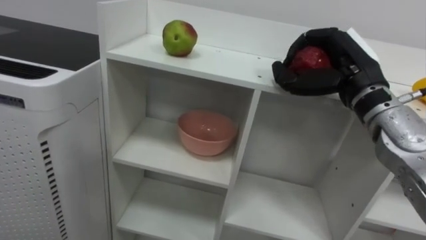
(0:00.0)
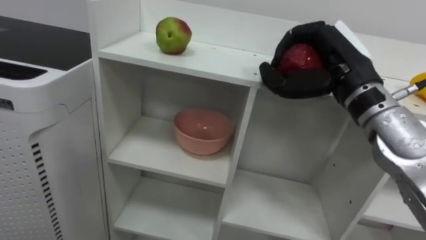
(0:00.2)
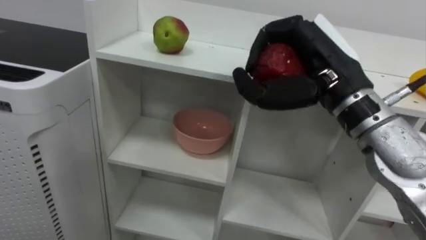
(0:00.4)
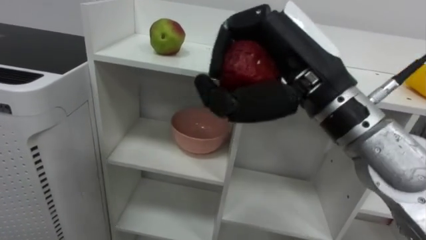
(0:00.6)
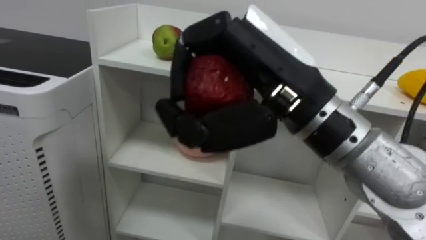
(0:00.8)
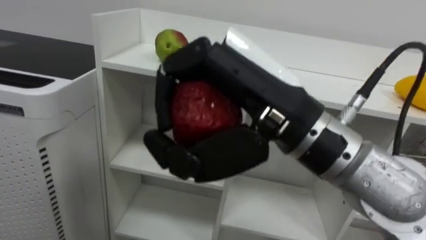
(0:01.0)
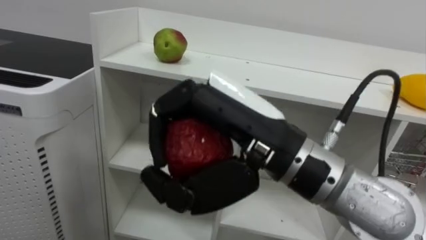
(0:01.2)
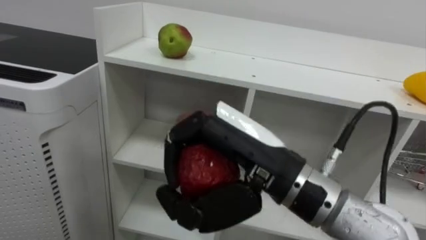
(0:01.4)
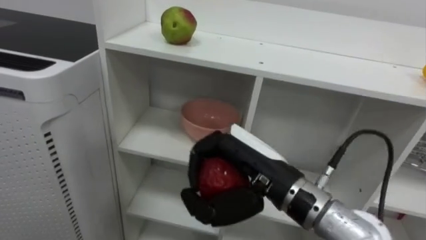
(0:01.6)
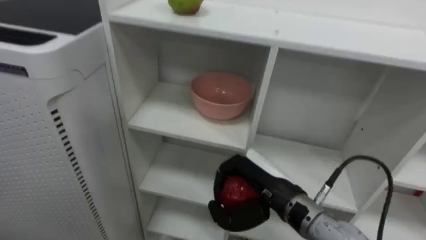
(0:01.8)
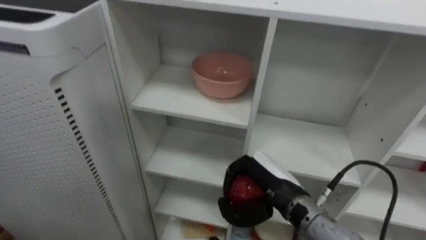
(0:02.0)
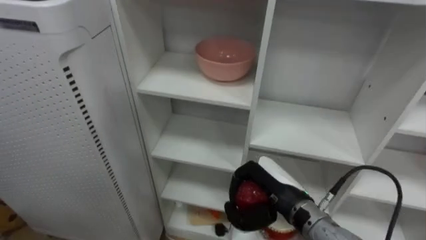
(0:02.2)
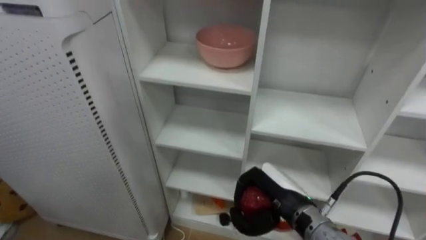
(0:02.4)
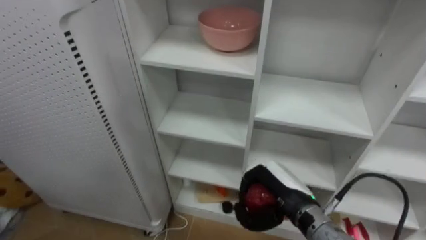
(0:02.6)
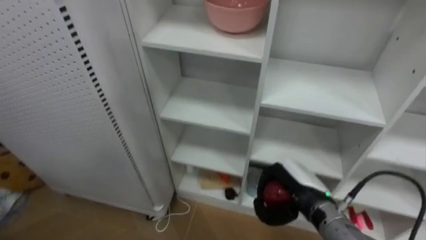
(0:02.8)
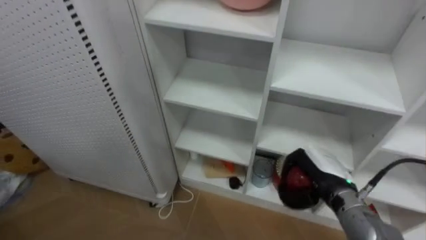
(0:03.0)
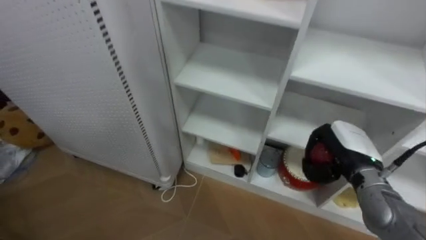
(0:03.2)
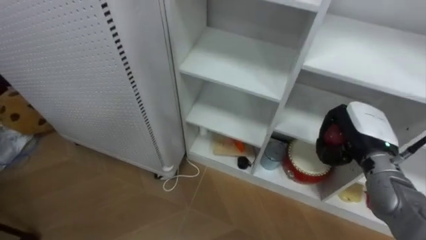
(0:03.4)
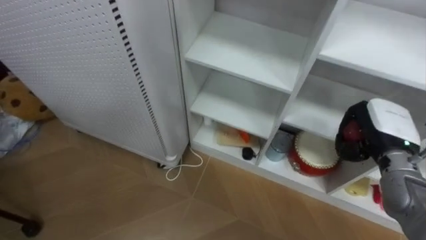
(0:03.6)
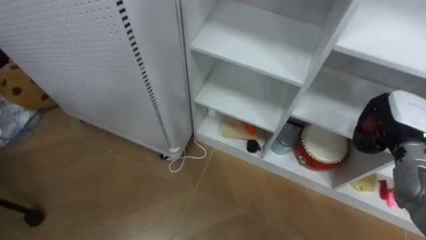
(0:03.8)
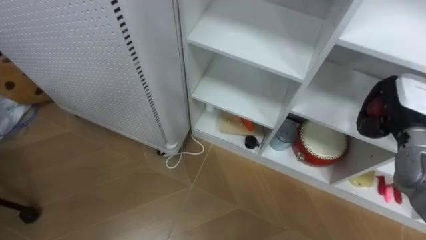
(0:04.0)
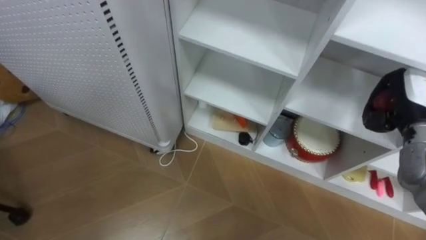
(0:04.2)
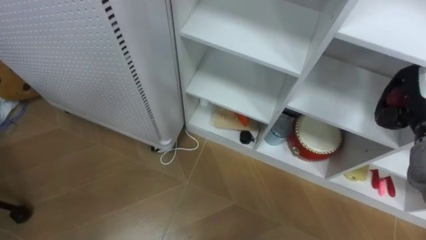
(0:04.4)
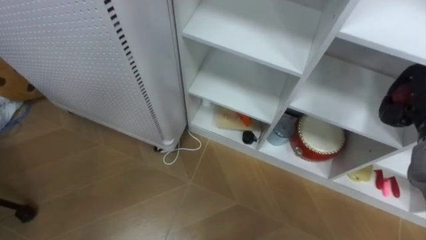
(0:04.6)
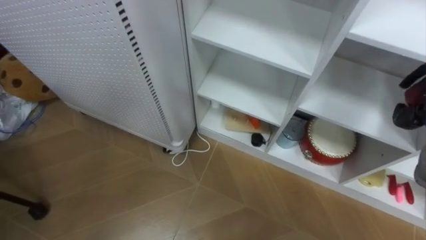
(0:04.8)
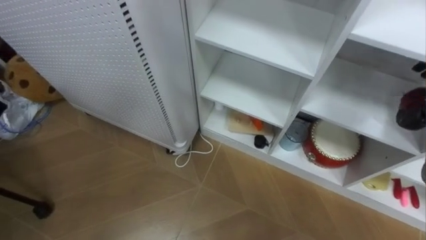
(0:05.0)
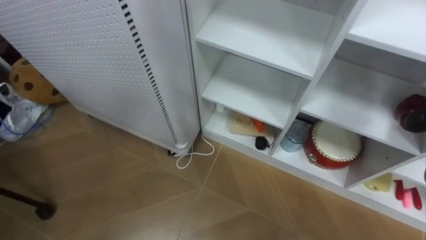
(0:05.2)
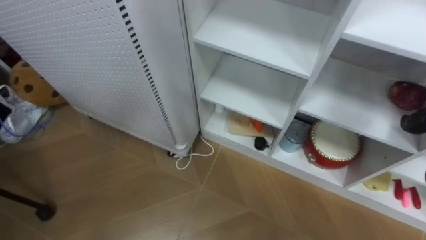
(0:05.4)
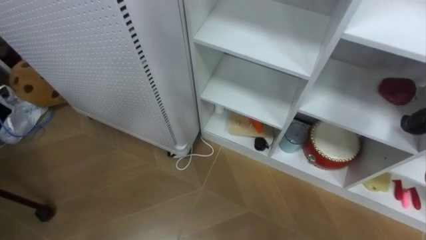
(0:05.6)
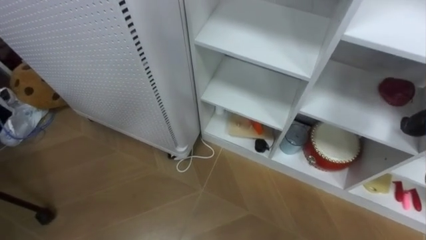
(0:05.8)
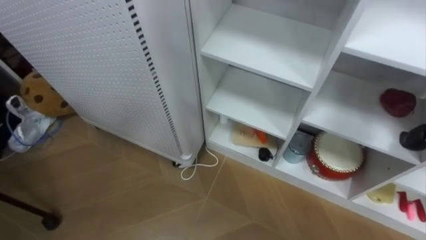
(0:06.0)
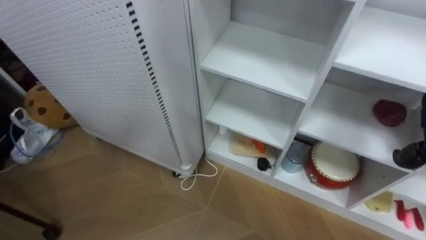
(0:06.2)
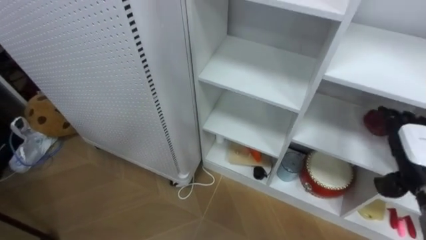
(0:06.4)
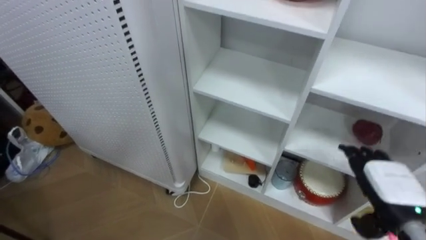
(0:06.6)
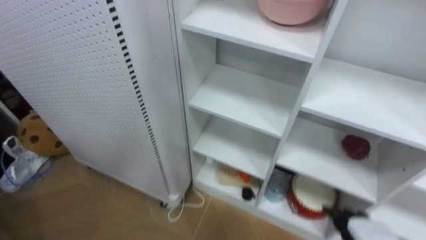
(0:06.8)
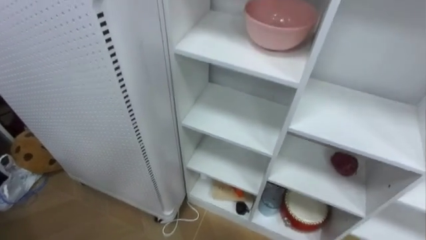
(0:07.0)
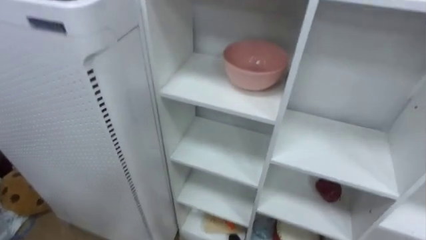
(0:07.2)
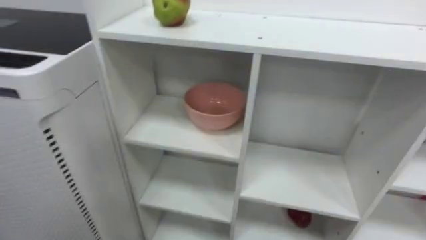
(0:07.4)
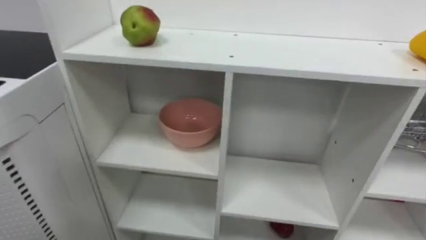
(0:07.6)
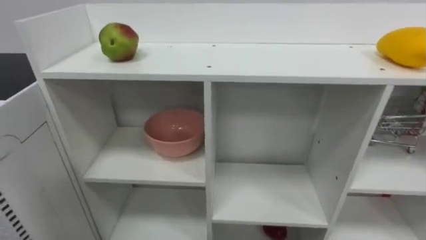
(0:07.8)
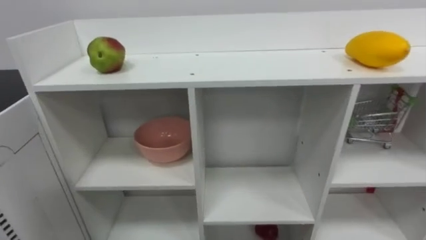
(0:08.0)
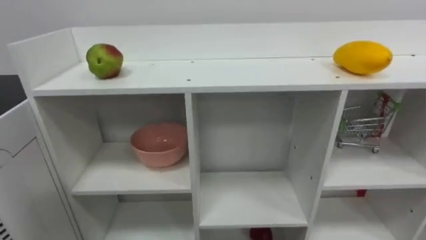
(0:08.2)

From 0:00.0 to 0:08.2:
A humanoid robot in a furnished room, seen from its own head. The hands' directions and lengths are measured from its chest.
Task of the whole recording: Put the apple in the cell in the second column from the left and the second row from the top.
From 0:00.0 to 0:01.6: The right hand is displaced to the left, backward and downward by approximately 20 cm.
From 0:01.6 to 0:03.2: The right hand is displaced to the right, forward and downward by roughly 25 cm.

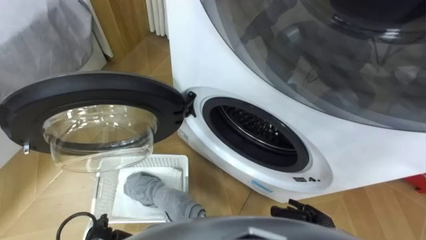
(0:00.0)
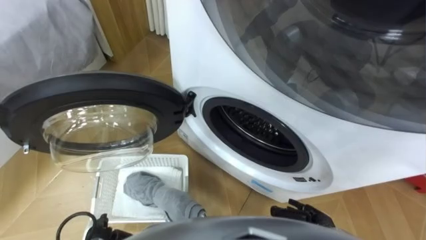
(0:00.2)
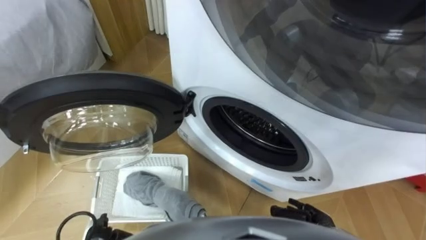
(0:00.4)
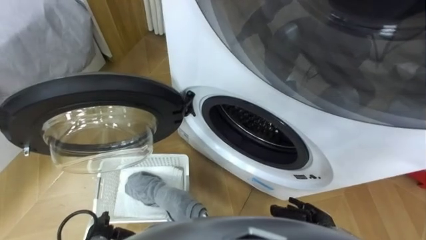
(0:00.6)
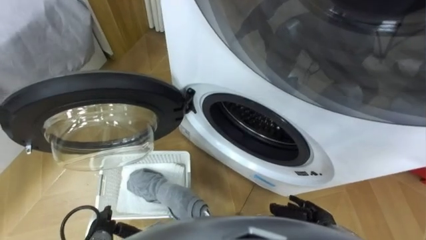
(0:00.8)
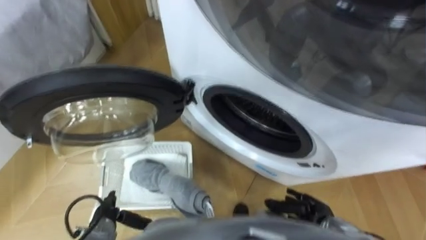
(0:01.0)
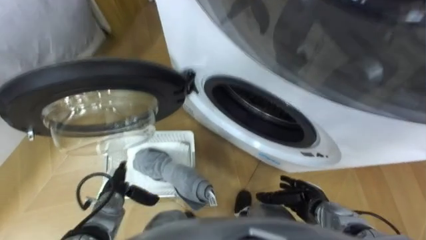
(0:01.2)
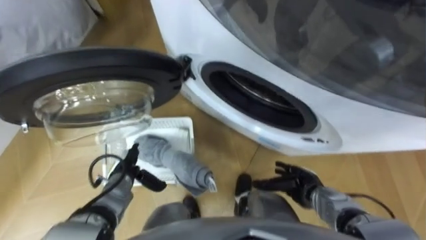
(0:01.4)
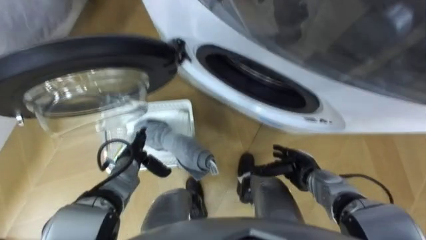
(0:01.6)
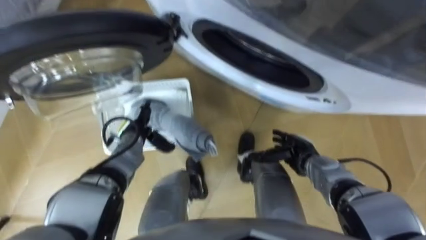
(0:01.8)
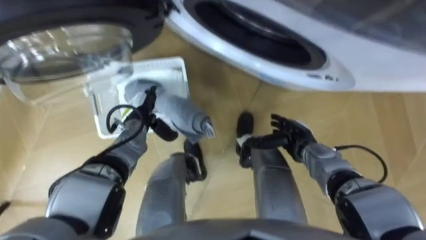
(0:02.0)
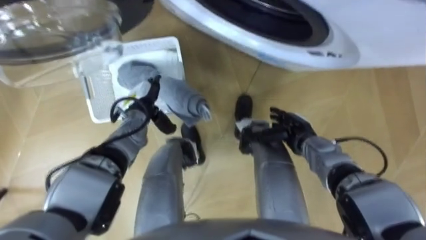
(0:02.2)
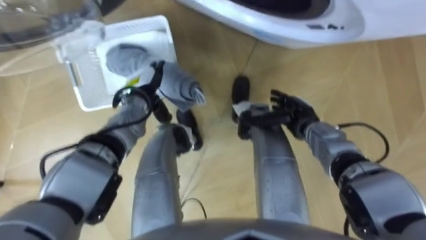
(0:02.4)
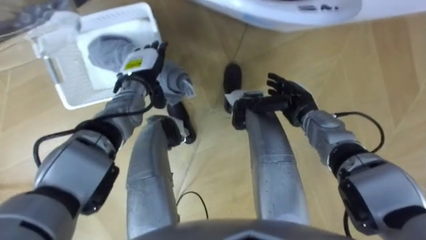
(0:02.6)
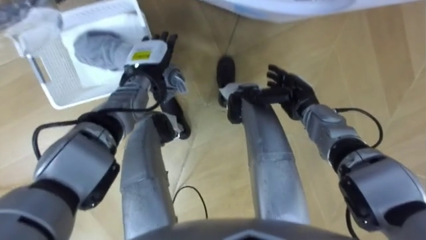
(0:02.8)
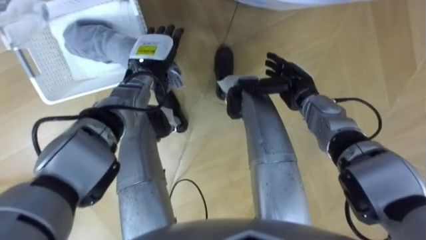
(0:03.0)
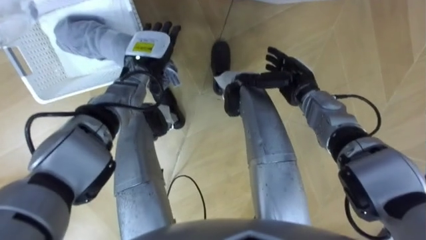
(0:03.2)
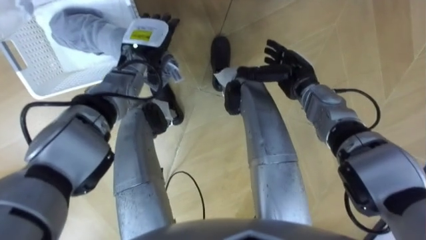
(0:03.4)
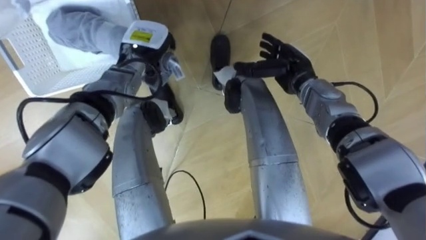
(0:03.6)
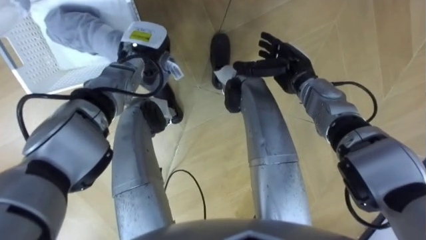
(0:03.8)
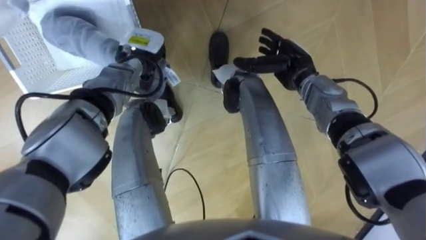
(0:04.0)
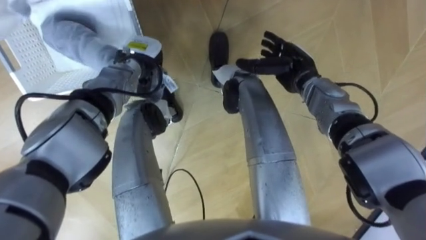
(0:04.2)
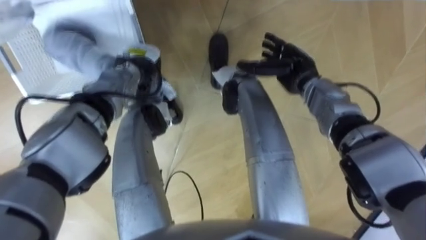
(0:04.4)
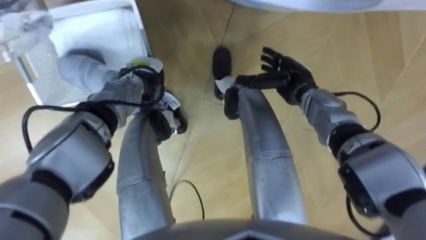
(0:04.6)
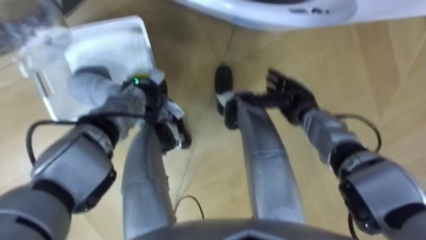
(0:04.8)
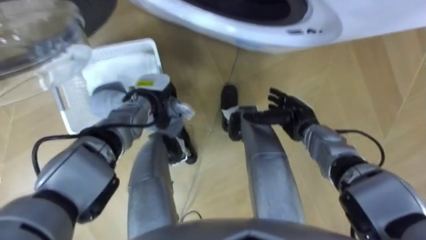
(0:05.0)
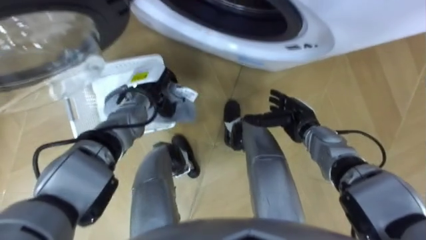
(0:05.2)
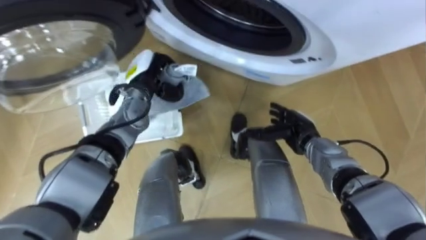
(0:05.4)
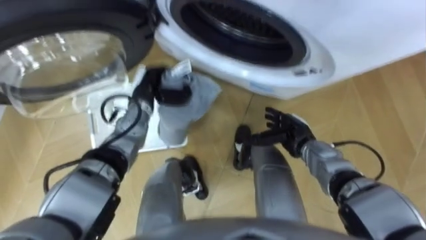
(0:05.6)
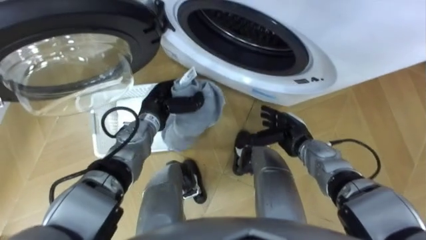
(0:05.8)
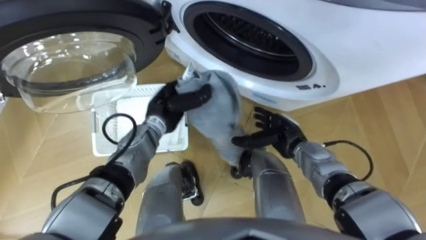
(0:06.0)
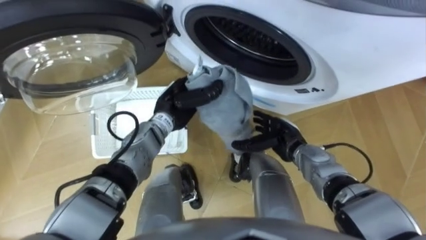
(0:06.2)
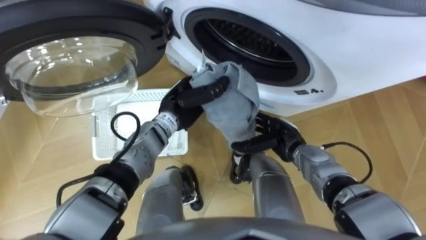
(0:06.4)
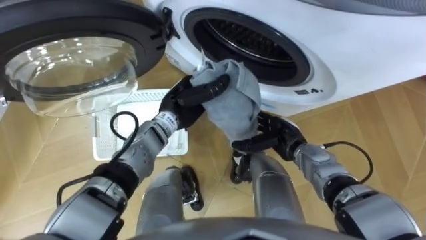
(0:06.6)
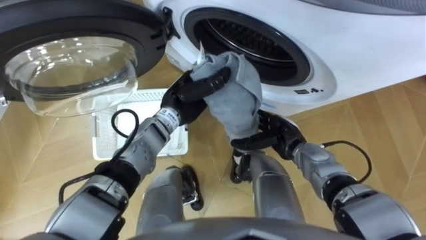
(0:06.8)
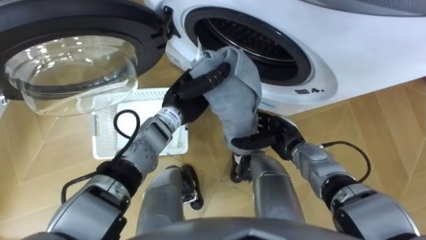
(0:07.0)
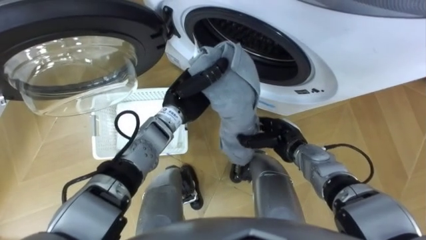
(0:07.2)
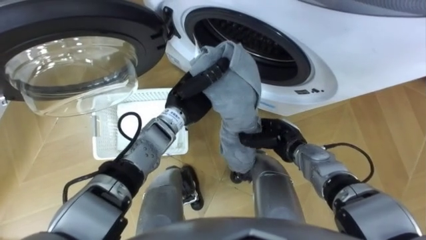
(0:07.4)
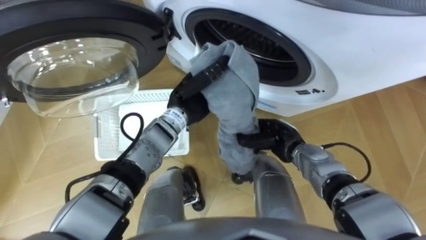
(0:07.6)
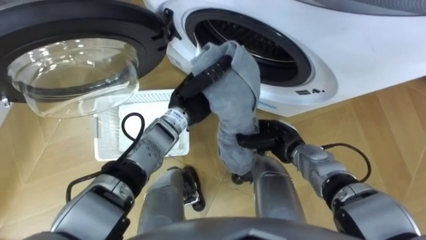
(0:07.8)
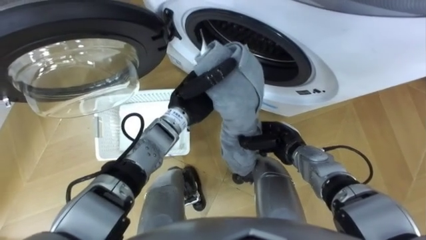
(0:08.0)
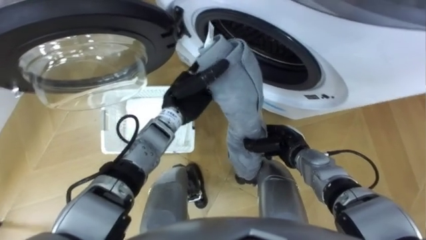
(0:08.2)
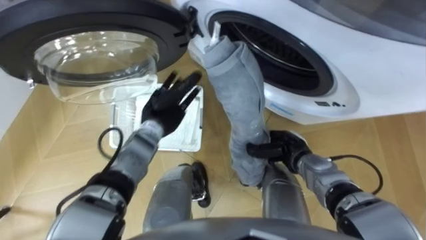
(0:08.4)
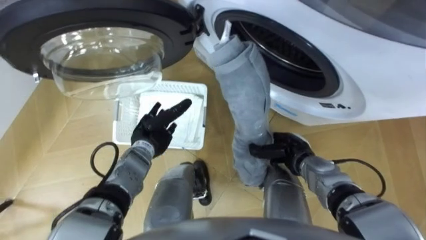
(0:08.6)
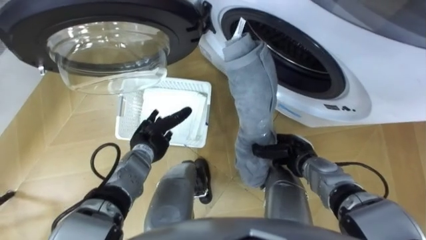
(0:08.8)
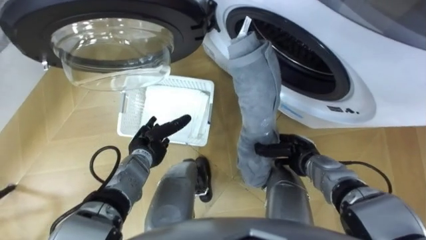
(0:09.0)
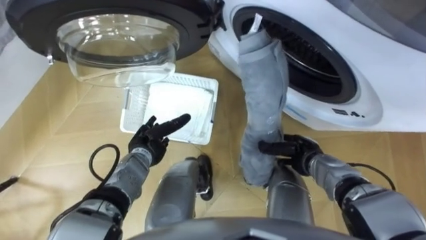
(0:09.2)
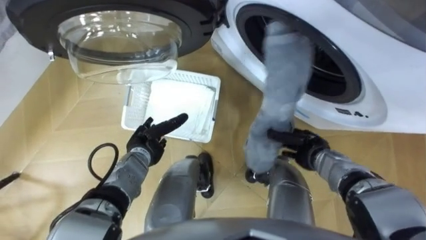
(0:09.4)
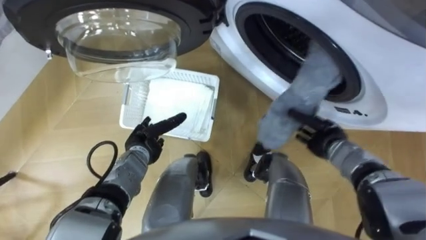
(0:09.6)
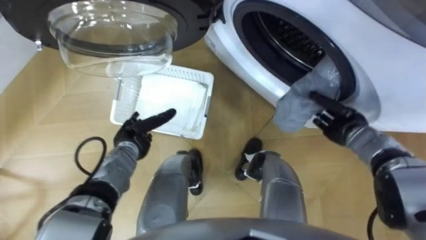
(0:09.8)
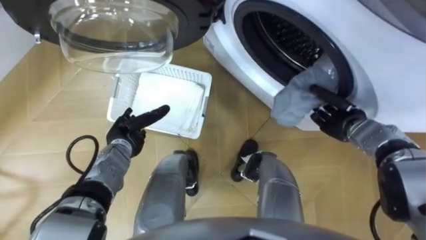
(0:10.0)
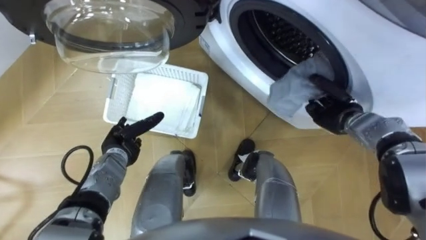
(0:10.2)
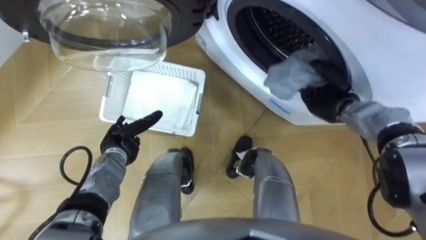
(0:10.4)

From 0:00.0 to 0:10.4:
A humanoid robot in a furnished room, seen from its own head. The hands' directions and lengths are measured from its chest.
Task of the whole recording: Take the towel from the basket and put it into the washing machine.
From 0:01.4 to 0:03.0: The right hand shifts about 25 cm forward and upward, while the left hand is displaced forward, upward and to the right by approximately 25 cm.
From 0:03.0 to 0:04.4: The left hand closes up.
From 0:04.4 to 0:06.0: The left hand heads backward and to the right, covering approximately 10 cm; the right hand heads backward and downward, covering about 15 cm.
From 0:06.0 to 0:07.4: The left hand heads to the right, covering roughly 5 cm, while the right hand closes up.
From 0:07.4 to 0:09.0: The right hand shifts by some 5 cm; the left hand moves downward, to the left and backward, about 15 cm, and opens up.
From 0:09.0 to 0:10.4: The right hand heads forward, upward and to the right, covering approximately 15 cm. The left hand moves to the left, about 5 cm.
